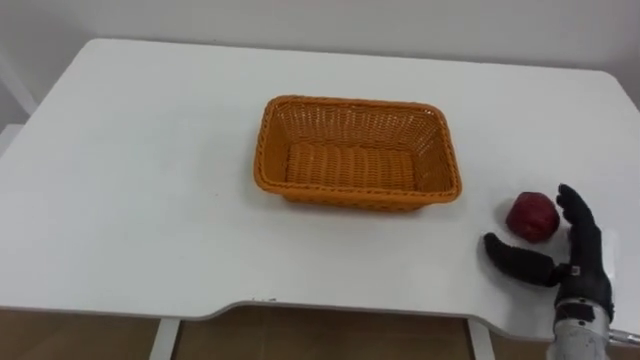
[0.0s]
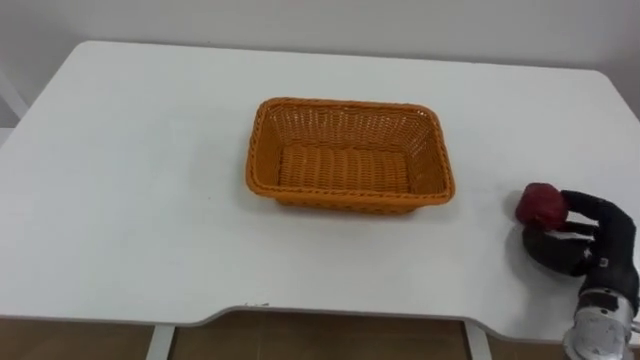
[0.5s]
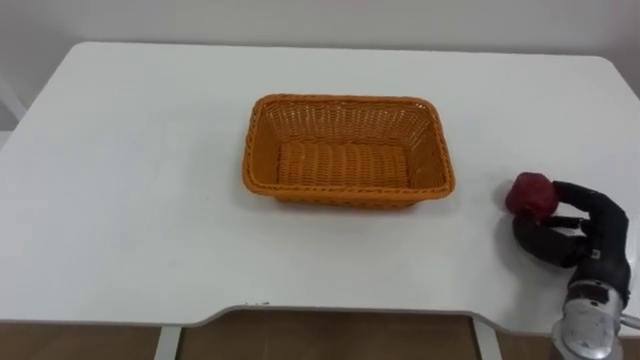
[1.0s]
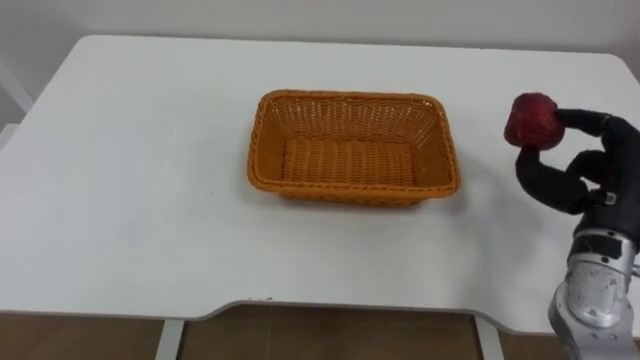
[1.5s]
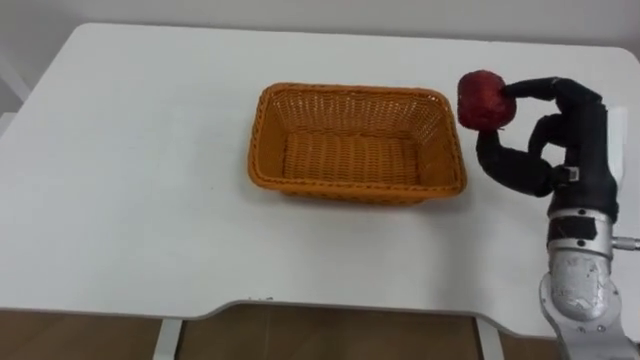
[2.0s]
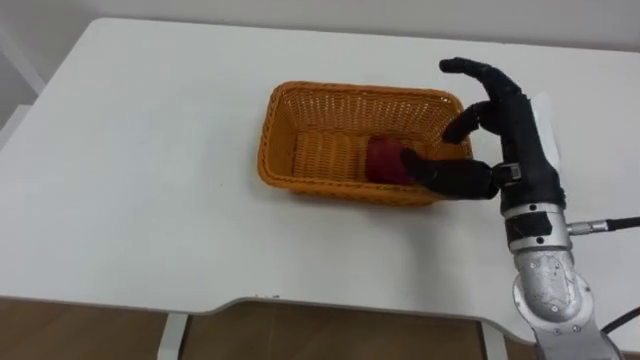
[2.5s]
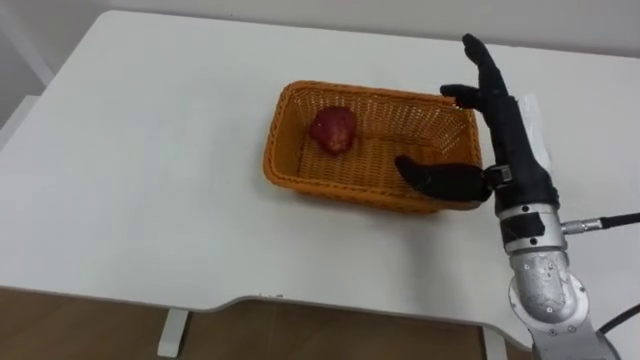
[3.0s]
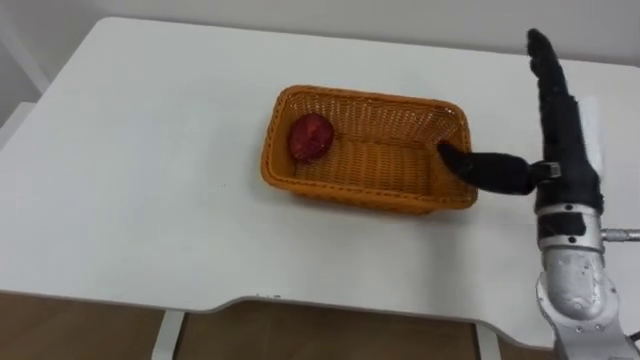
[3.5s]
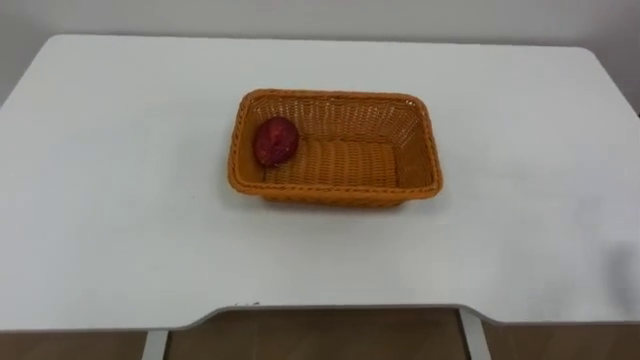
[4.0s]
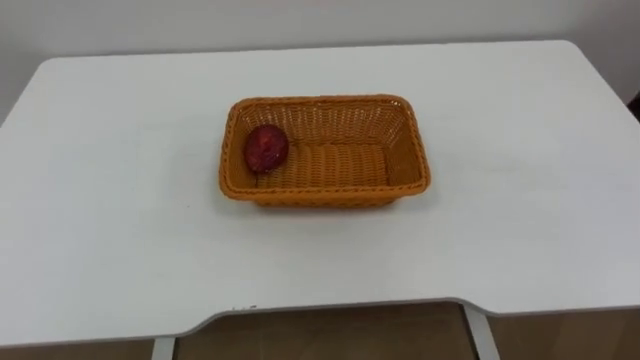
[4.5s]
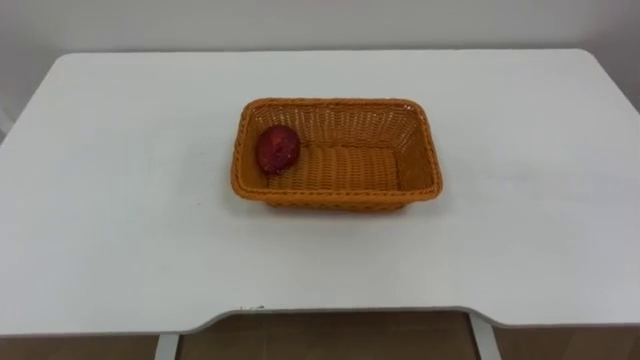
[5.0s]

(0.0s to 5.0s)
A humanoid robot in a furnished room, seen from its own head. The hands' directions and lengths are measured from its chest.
Task of the whole recording: Pick the apple and place it in the box.
0.0s - 2.5s: The right hand is displaced upward and to the left by approximately 20 cm.

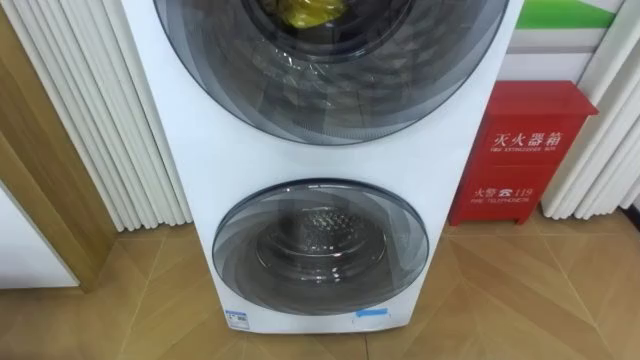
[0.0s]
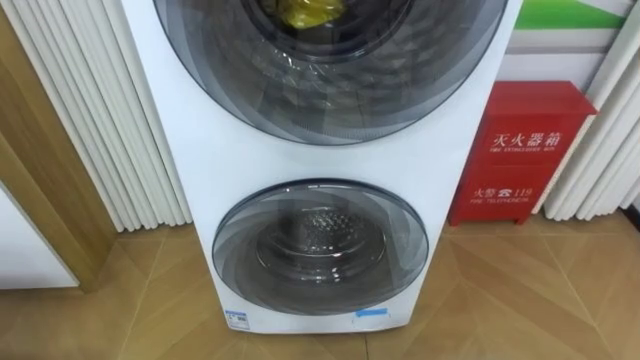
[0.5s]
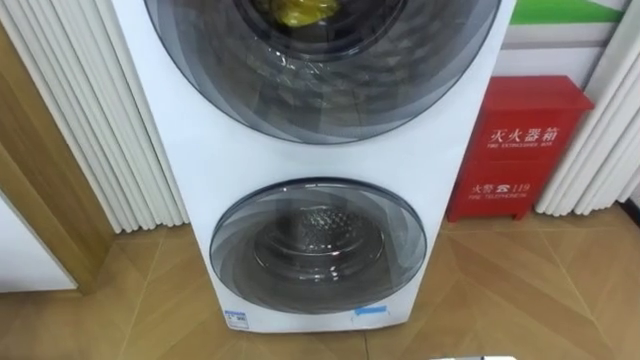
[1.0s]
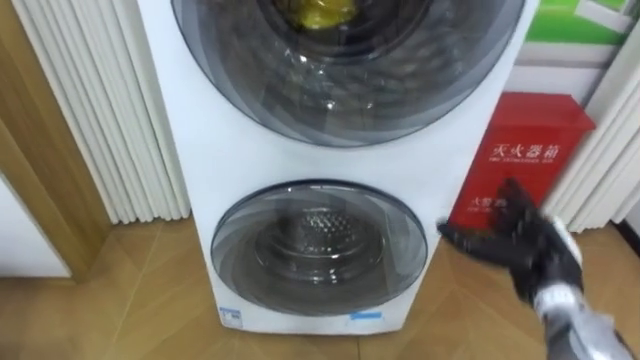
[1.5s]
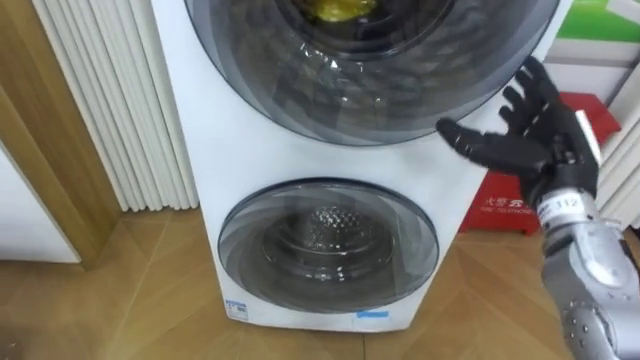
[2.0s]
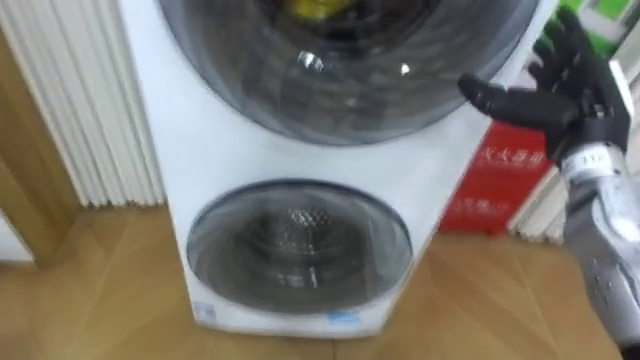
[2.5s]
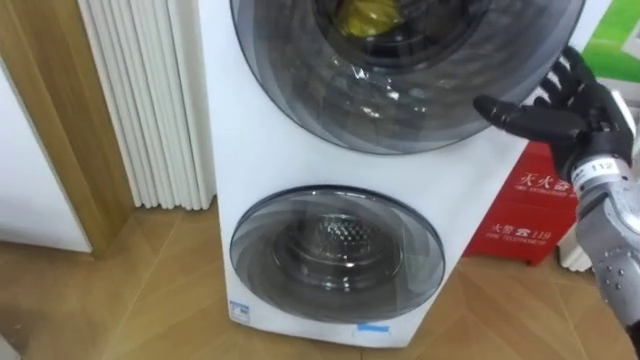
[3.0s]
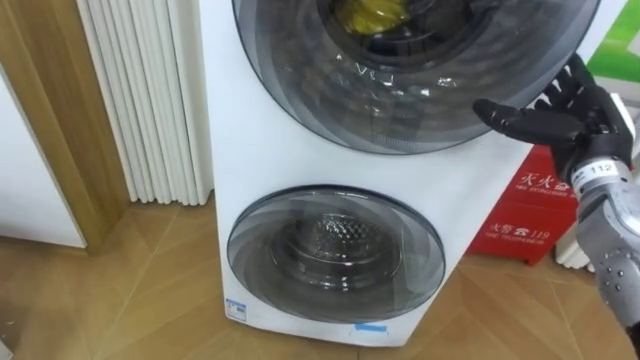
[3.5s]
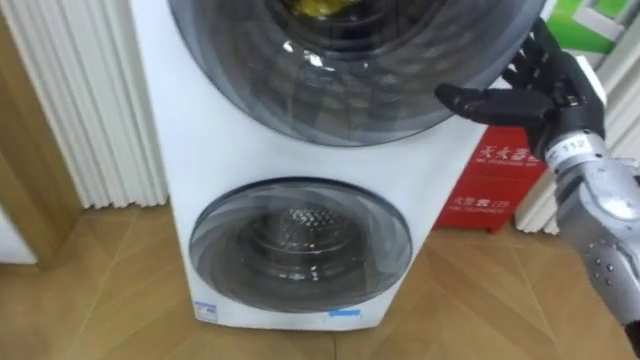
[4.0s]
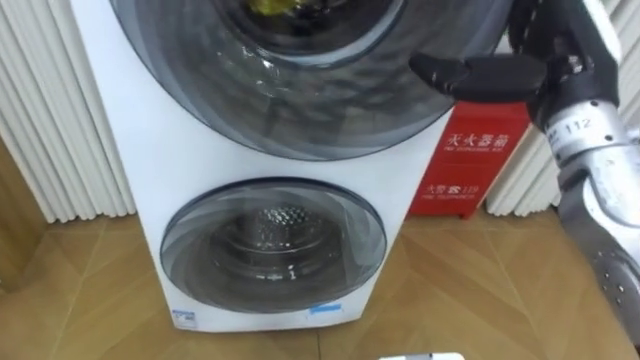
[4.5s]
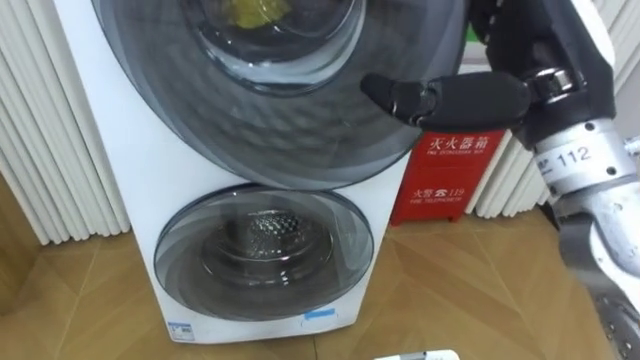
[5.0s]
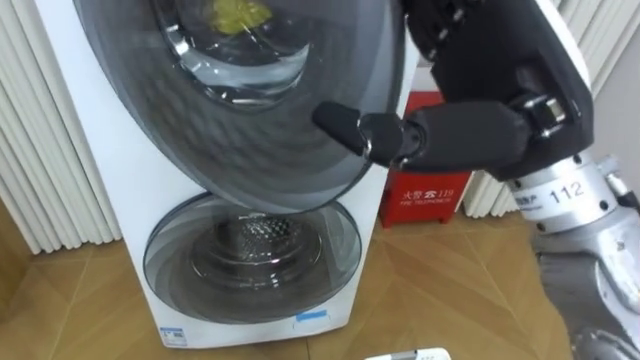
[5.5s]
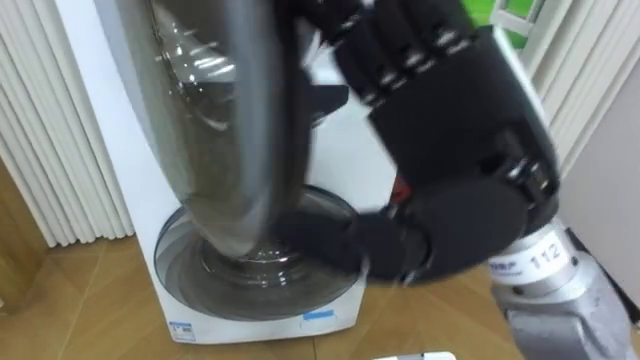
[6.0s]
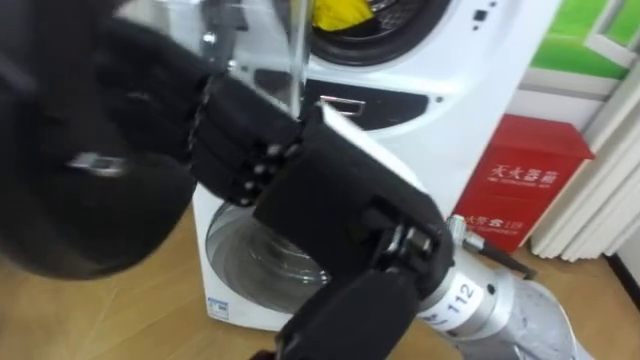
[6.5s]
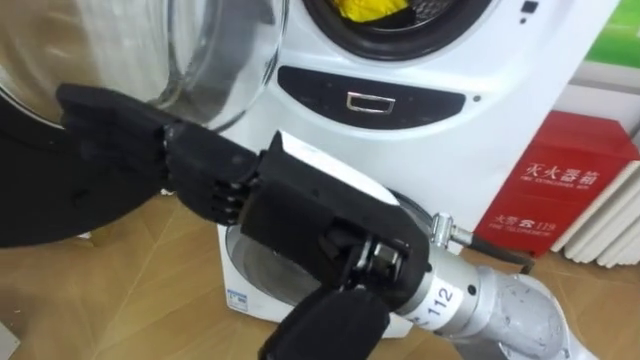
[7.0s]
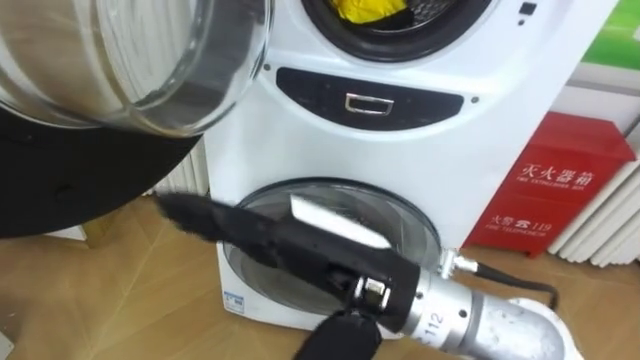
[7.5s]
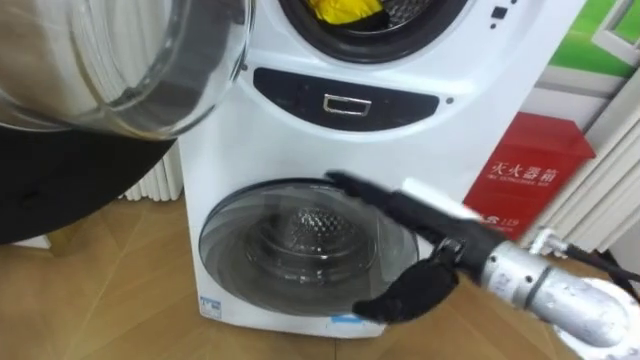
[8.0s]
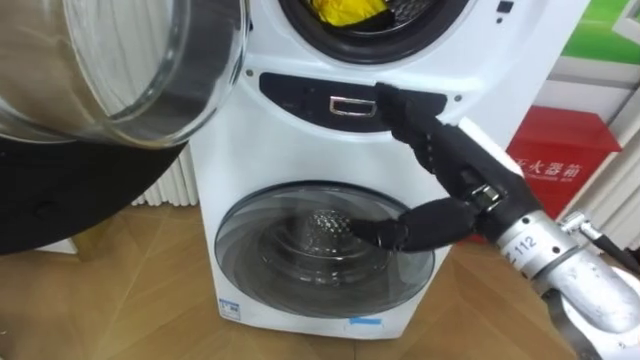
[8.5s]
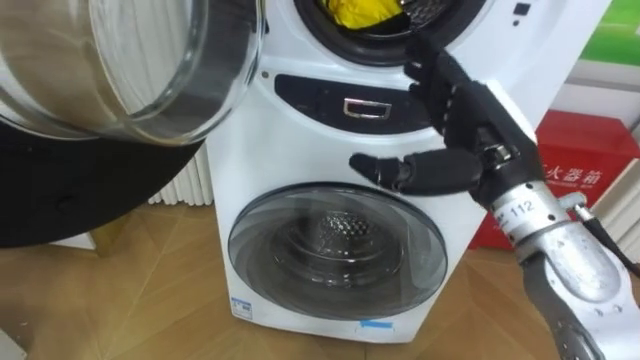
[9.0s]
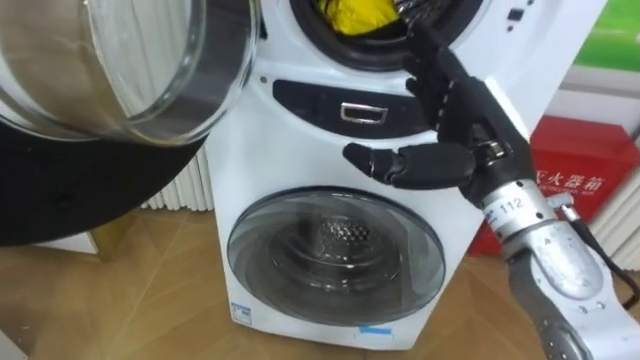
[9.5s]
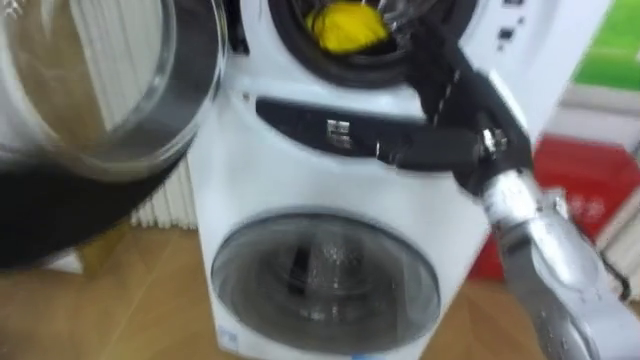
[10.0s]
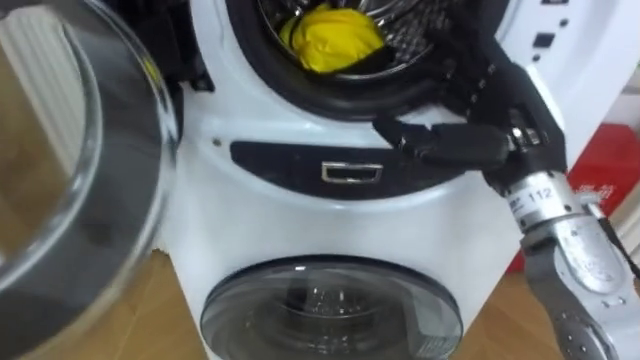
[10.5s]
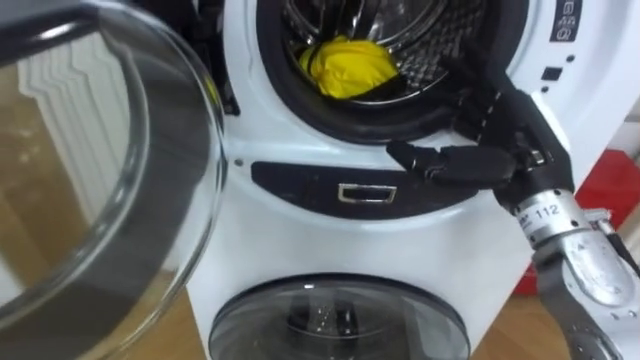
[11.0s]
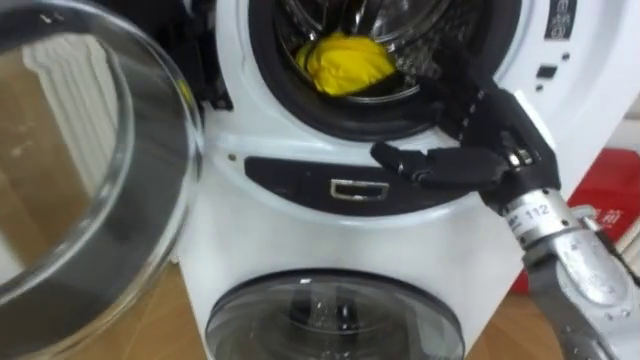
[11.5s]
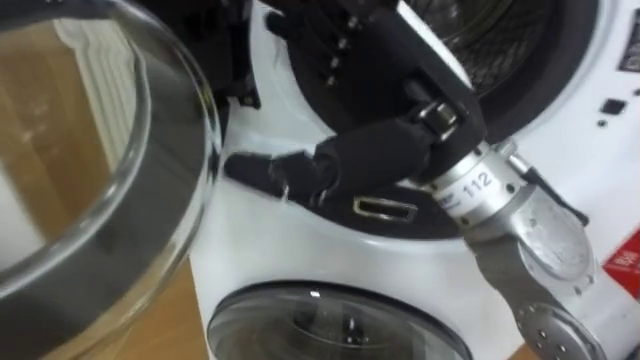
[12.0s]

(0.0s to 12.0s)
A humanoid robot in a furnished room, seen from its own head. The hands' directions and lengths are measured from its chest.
Task of the whole recording: Open the washing machine door, take out the yellow clothes, place them in the box on the right, and close the washing machine door.
2.0s - 4.0s: The right hand shifts by some 5 cm.
4.0s - 6.0s: The right hand goes approximately 25 cm backward, to the left and upward.
6.0s - 8.0s: The right hand travels downward and forward by about 15 cm.
8.0s - 10.0s: The right hand goes about 10 cm upward and forward.
10.0s - 12.0s: The right hand heads to the left, upward and backward, covering roughly 15 cm.

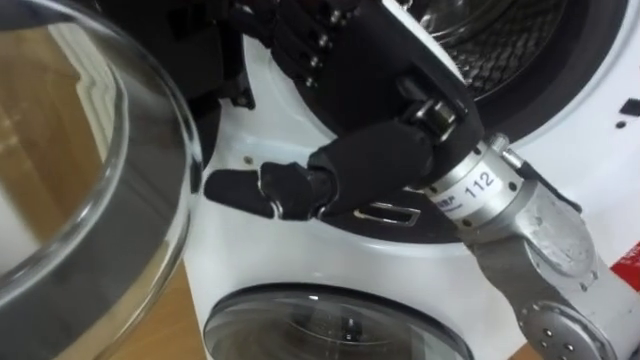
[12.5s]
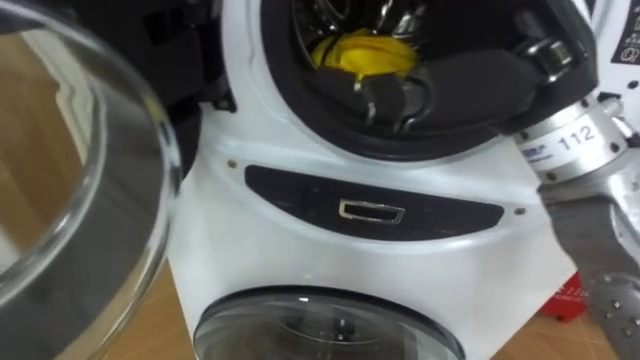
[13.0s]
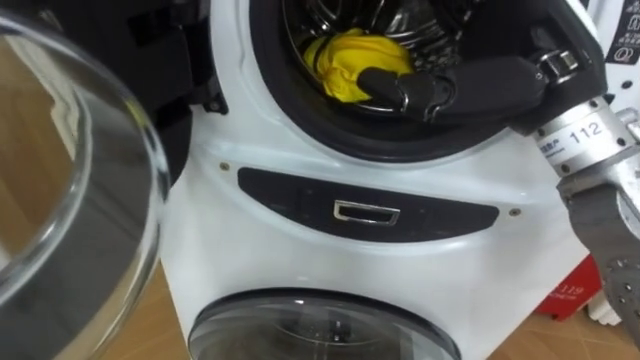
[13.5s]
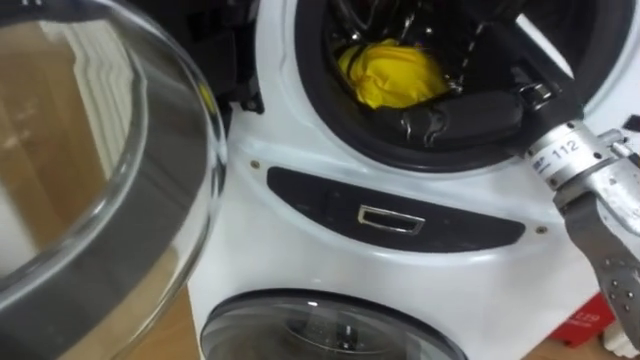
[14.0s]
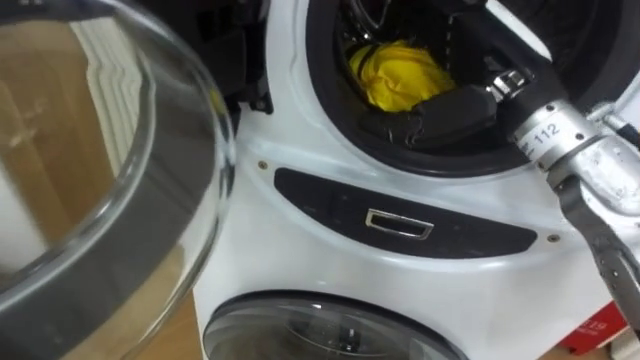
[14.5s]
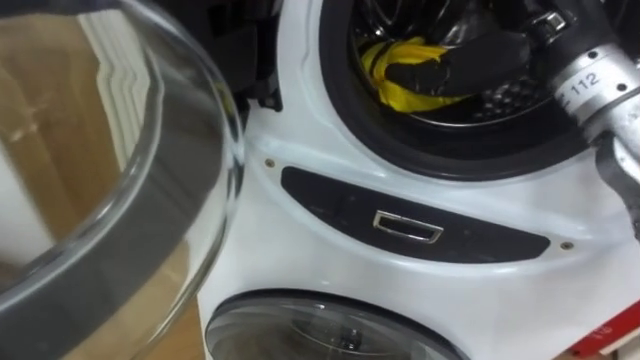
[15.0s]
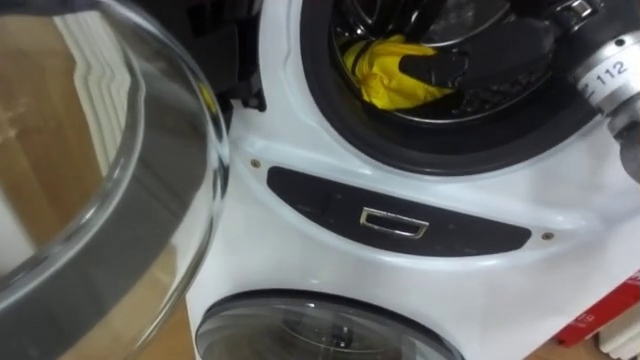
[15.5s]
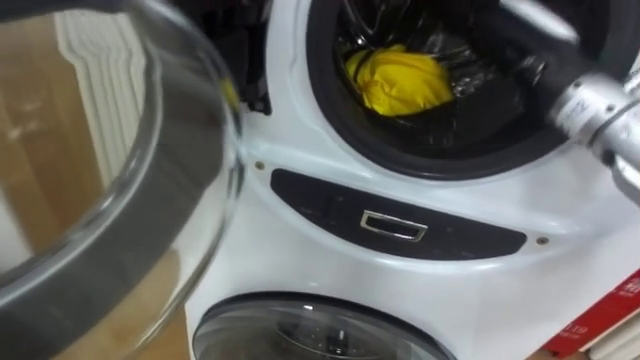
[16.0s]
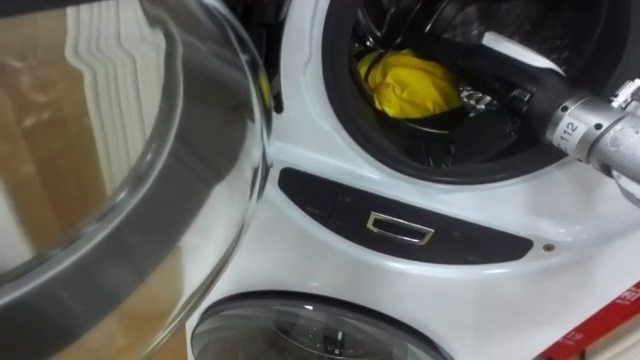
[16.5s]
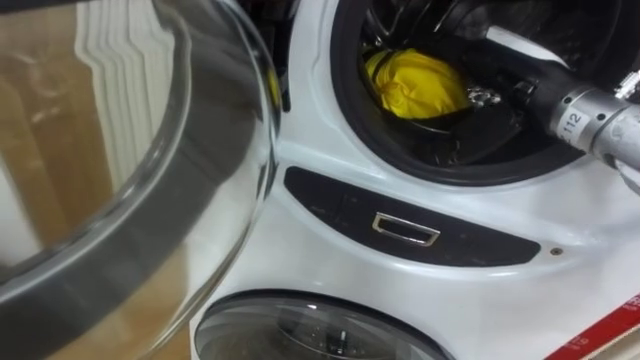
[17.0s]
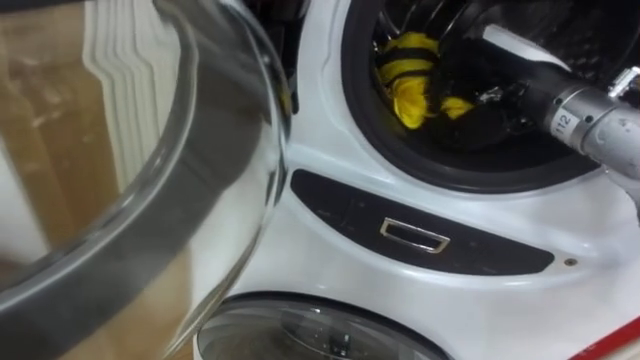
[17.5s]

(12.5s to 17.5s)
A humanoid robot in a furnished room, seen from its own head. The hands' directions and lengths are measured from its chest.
Task of the whole recording: Open the washing machine door, take out the yellow clothes, place them in the box on the right, and close the washing machine door.
12.5s - 15.0s: The right hand shifts some 15 cm to the right and forward.
15.0s - 17.5s: The right hand is displaced downward by roughly 5 cm, and closes.
